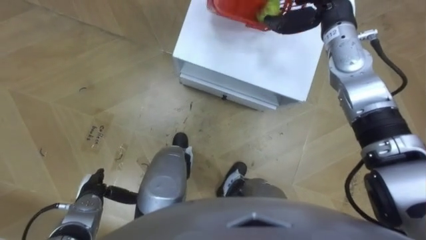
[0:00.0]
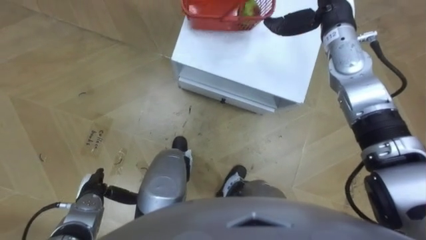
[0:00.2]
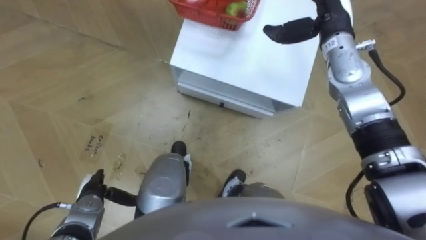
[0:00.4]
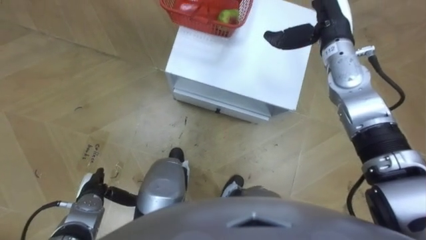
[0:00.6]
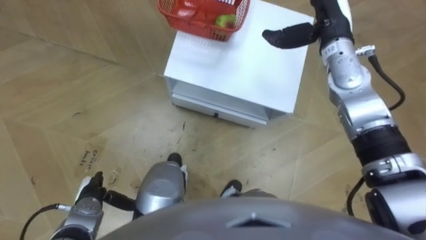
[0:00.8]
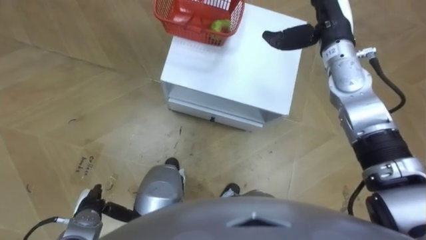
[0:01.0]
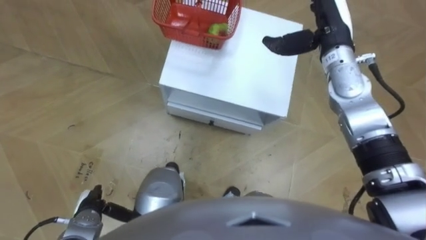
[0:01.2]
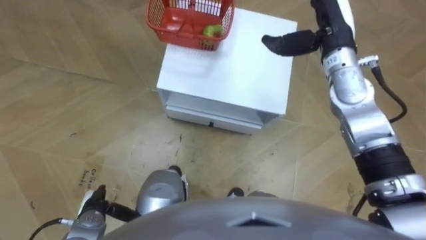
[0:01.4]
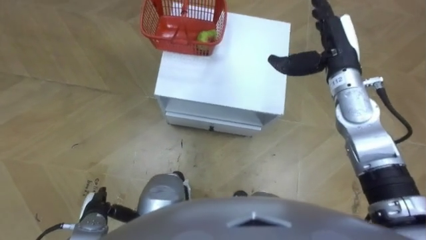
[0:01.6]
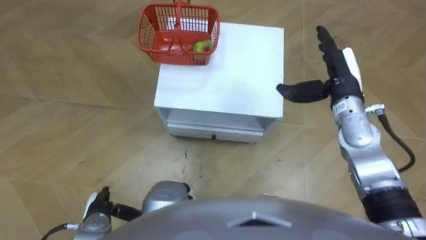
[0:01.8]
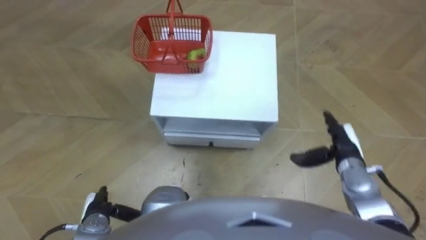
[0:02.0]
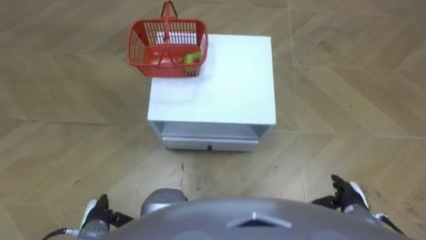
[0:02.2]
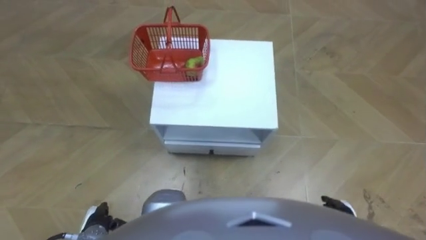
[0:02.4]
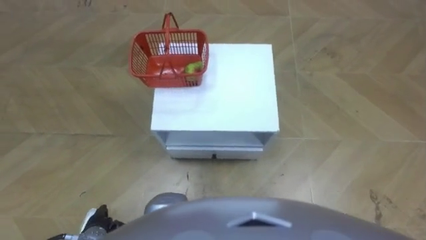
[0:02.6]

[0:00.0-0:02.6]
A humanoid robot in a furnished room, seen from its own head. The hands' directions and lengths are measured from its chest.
Task of the whole recording: Pick up the fruit basket from the floor and place it on the cabinet.
0:01.2 to 0:02.6: The right hand shifts about 40 cm backward and downward.

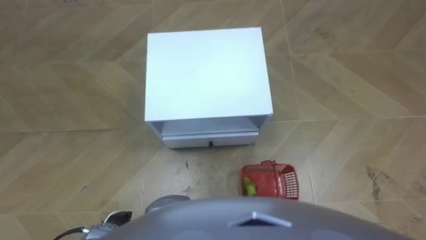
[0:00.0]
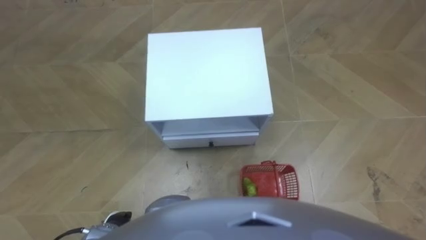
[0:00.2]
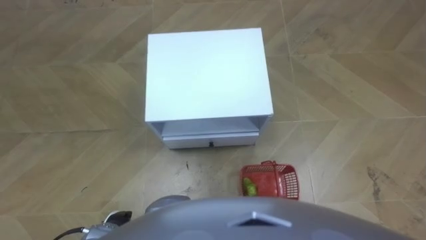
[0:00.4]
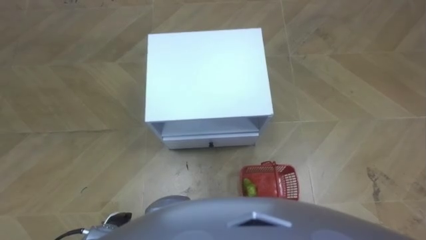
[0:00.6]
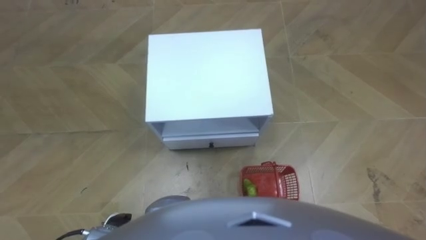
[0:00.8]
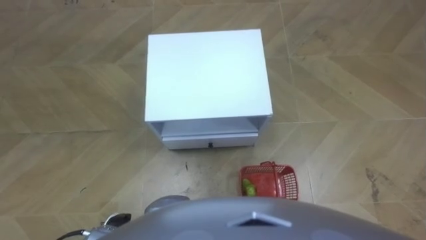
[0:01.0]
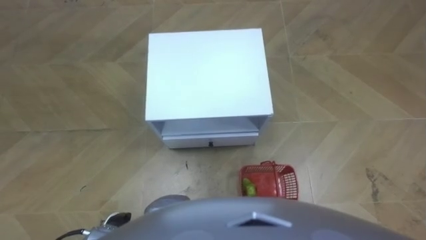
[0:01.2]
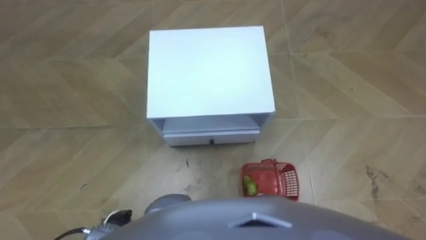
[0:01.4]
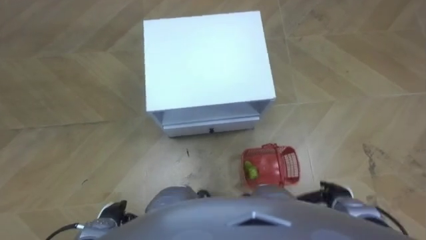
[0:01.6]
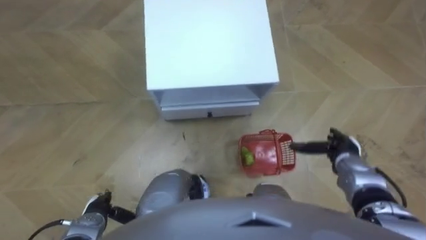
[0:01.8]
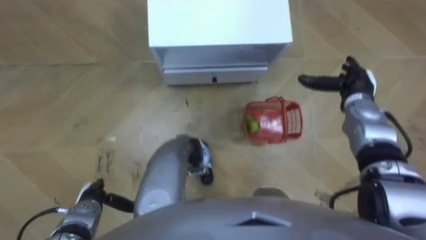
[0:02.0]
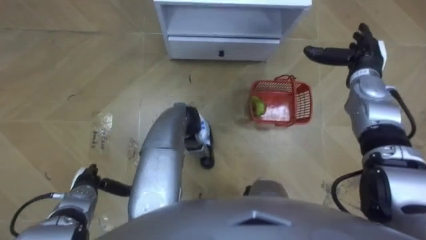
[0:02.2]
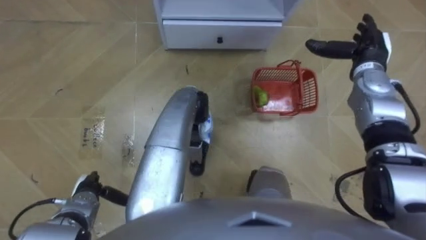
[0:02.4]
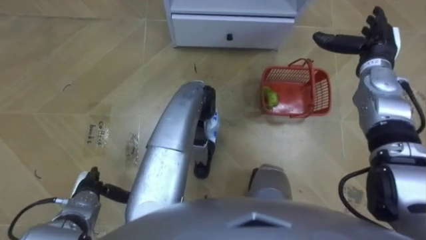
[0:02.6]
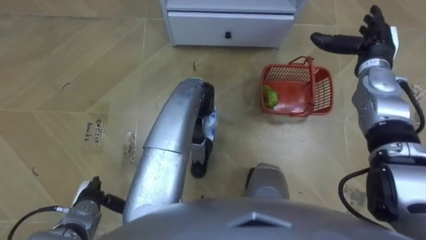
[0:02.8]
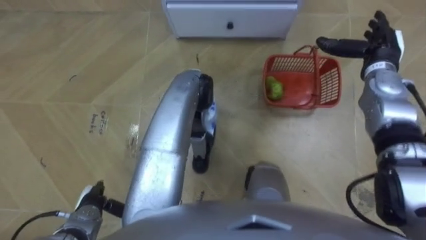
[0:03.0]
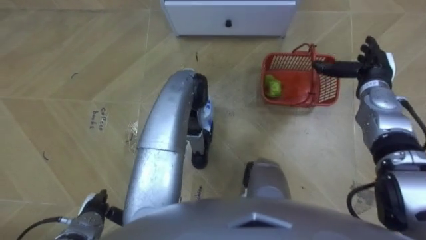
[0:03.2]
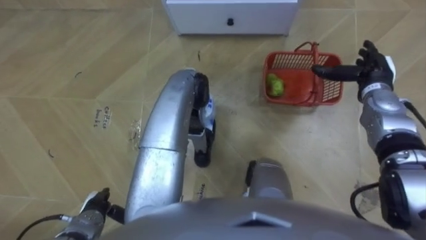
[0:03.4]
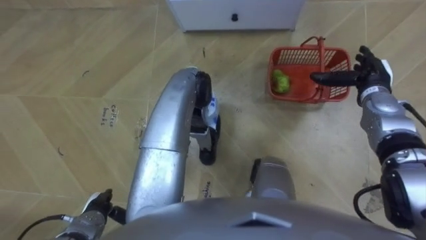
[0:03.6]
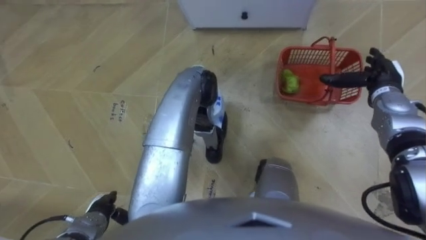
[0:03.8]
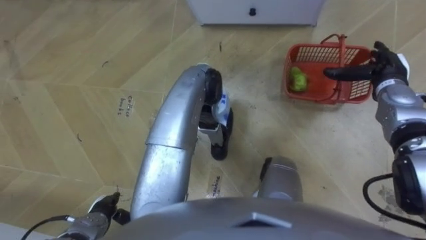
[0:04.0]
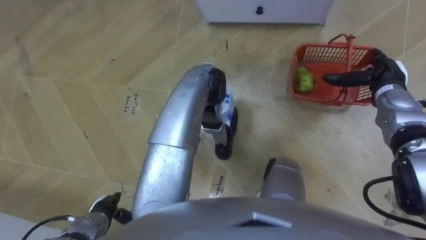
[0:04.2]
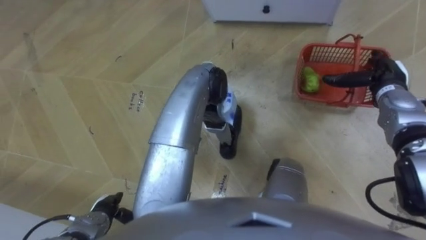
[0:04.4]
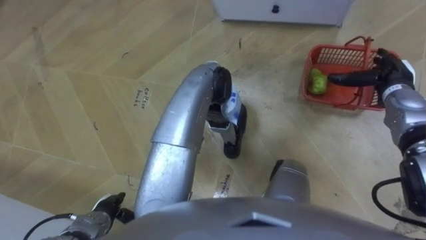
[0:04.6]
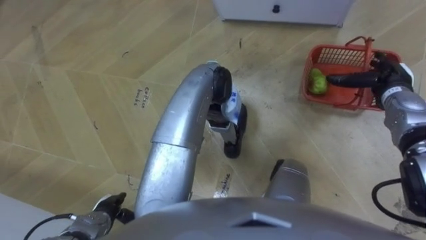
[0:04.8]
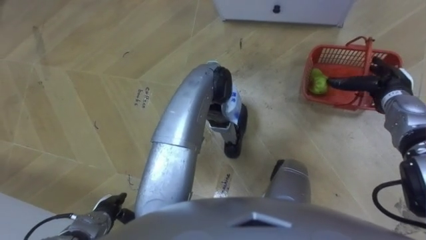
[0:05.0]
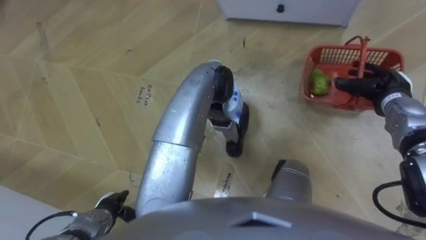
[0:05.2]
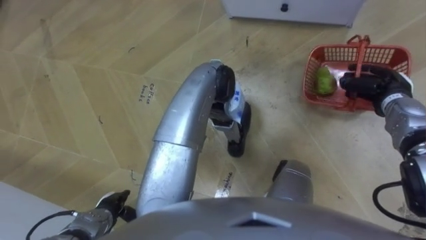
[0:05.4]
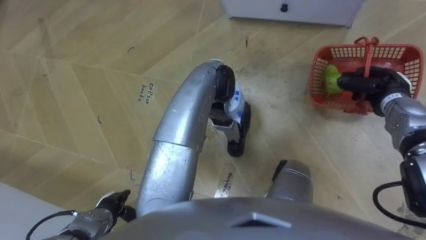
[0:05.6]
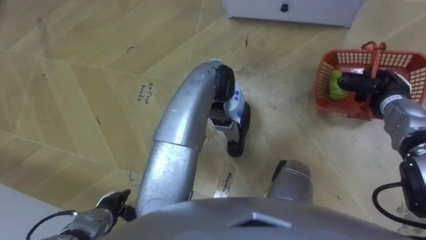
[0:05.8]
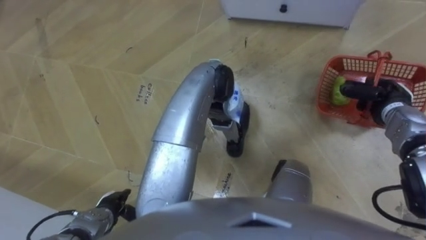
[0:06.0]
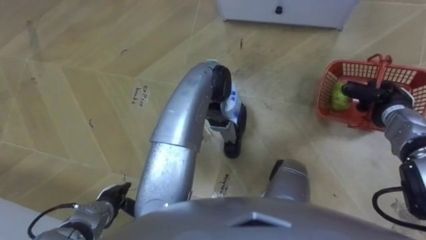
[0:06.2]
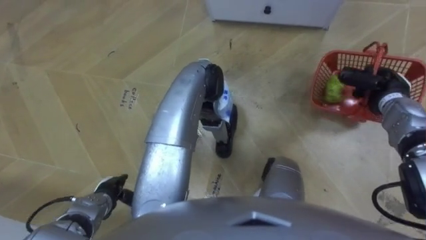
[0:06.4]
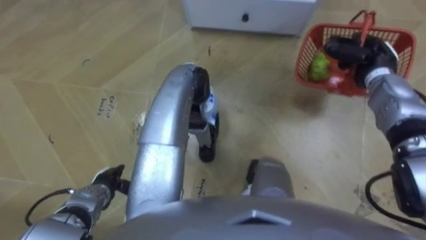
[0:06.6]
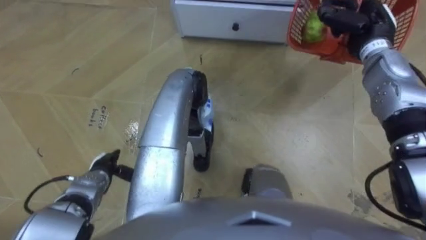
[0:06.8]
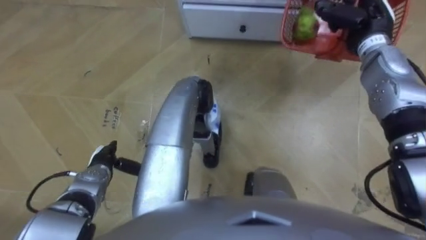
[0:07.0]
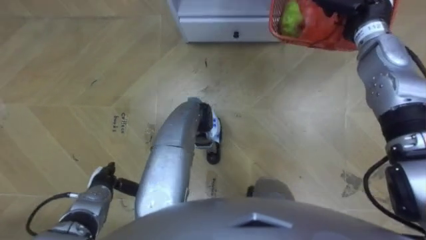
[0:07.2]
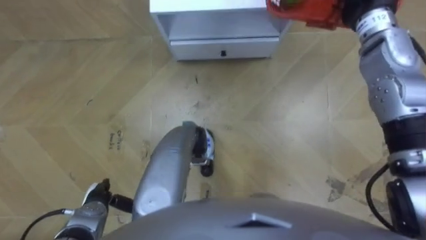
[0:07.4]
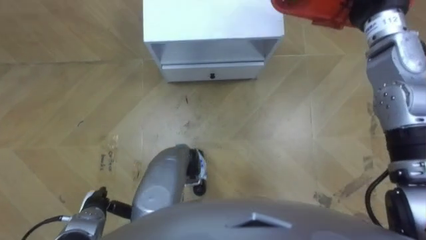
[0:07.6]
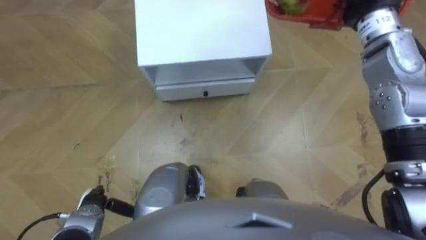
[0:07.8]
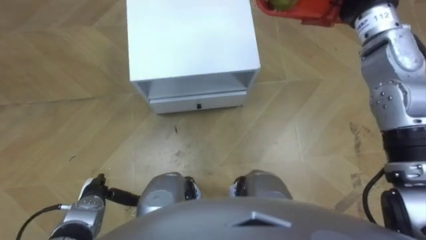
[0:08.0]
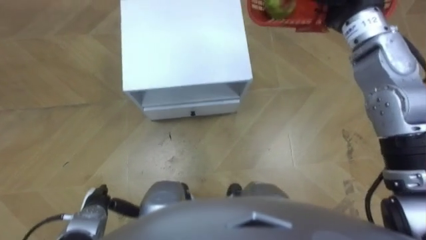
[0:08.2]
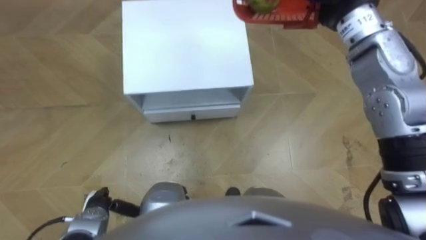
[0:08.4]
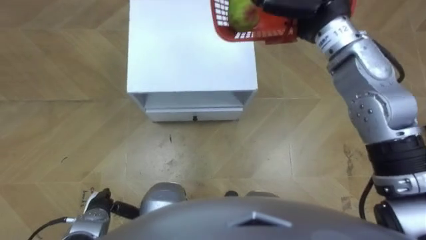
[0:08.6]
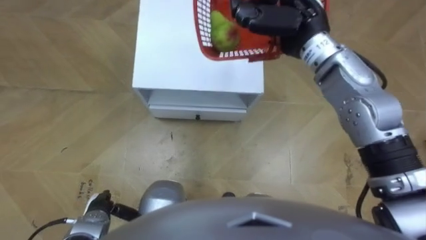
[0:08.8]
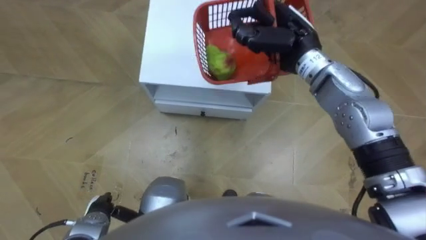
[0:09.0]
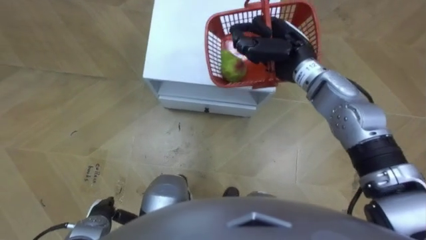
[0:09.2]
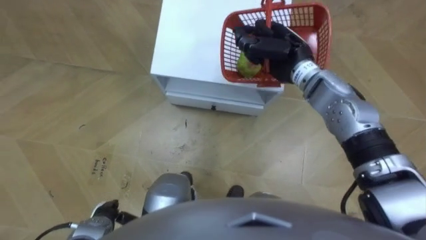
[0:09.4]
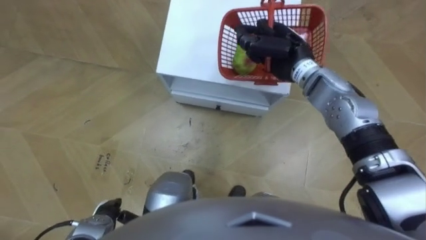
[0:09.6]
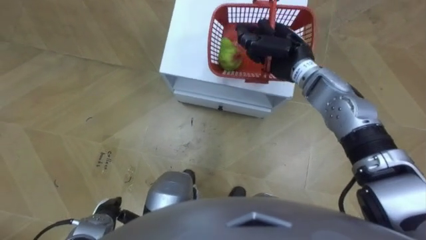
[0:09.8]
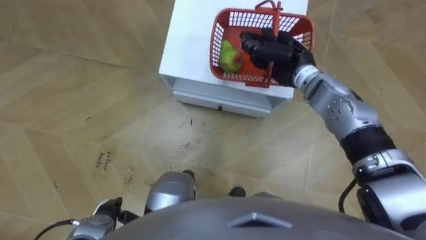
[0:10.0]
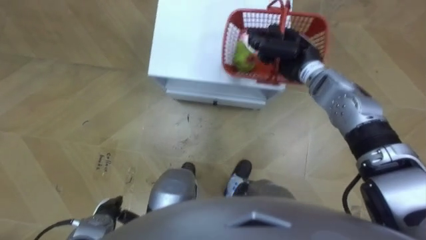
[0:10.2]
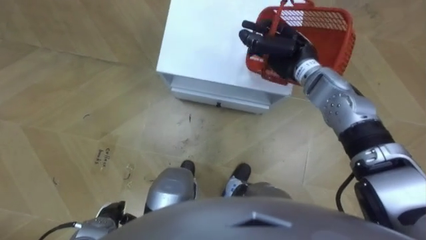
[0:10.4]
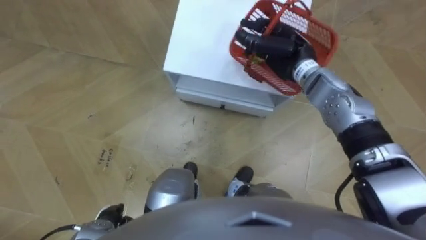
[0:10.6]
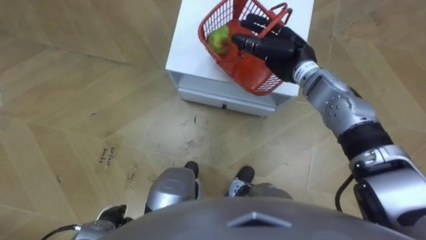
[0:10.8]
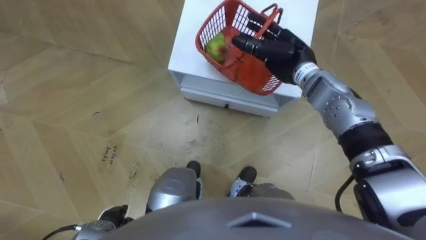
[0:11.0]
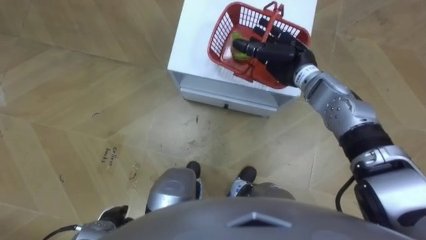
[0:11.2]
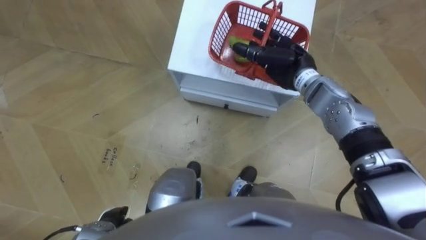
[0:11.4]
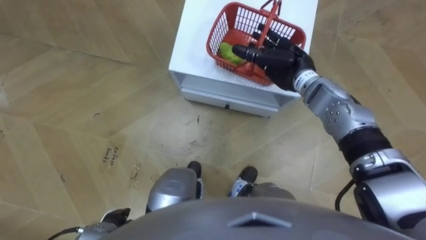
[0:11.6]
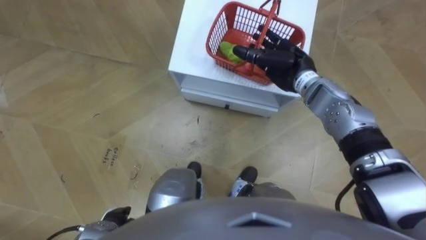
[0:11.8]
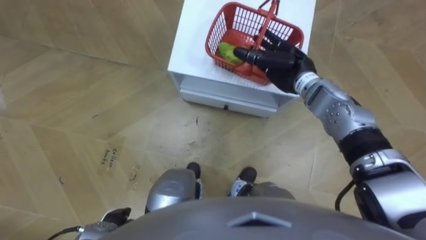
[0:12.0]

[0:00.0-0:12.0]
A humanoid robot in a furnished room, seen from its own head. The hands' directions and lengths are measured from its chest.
Task of the whole recording: Pick up the fruit basket from the floor and place it on the cabinet.
0:01.6 to 0:03.0: The right hand heads forward and upward, covering about 35 cm.
0:03.0 to 0:04.4: The right hand ends up some 5 cm from where it was.
0:04.4 to 0:06.0: The right hand closes up.
0:06.0 to 0:07.6: The left hand moves roughly 10 cm forward and comes back.
0:09.0 to 0:10.4: The right hand moves downward, approximately 5 cm.
0:10.4 to 0:12.0: The right hand opens up.

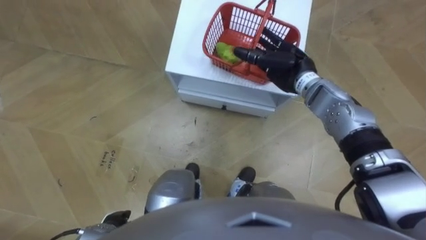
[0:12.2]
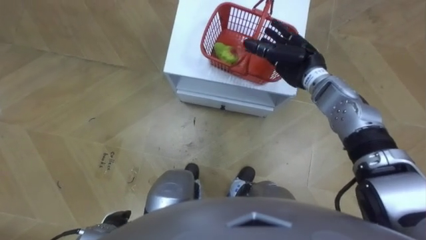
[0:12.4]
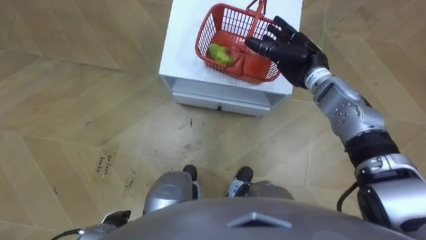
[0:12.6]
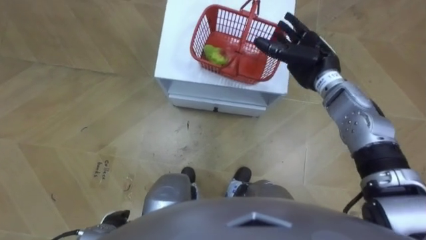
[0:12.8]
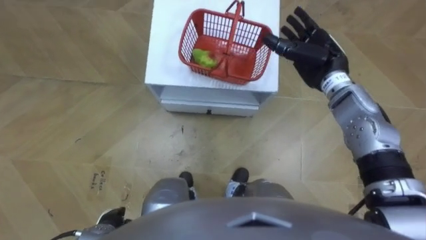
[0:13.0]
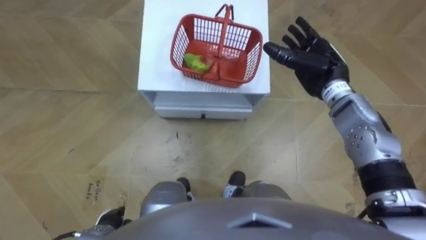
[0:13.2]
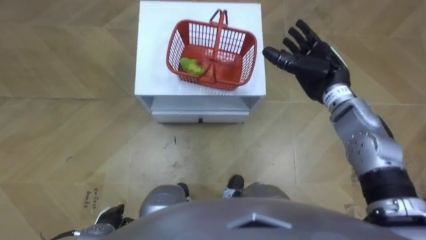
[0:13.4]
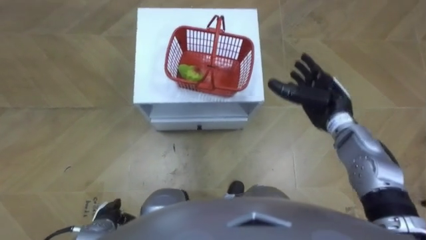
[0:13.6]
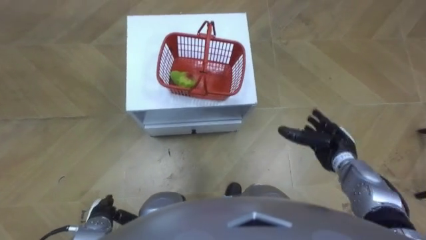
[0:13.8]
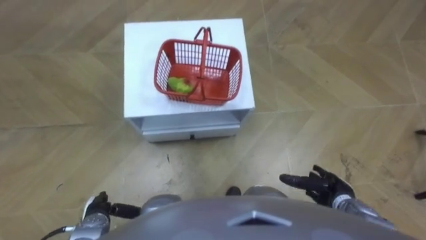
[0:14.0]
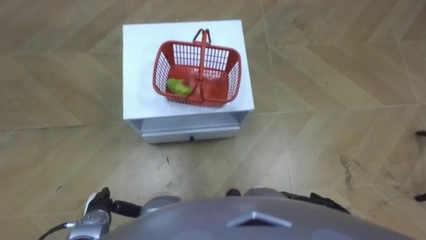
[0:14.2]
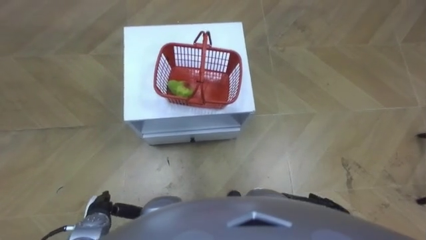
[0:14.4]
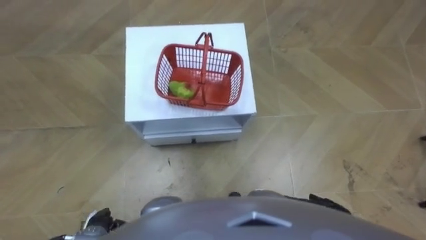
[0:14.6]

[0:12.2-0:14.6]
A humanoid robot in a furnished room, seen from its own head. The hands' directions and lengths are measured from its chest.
Task of the whole recording: Pick up the fruit basket from the floor and place it on the cabinet.
0:12.2 to 0:13.4: The right hand heads to the right, covering some 5 cm.
0:13.4 to 0:14.6: The right hand shifts approximately 35 cm backward and downward.
